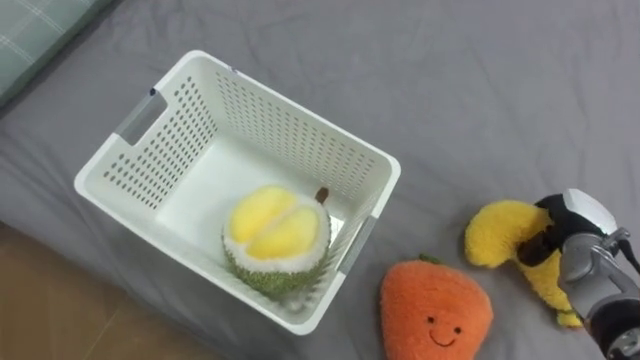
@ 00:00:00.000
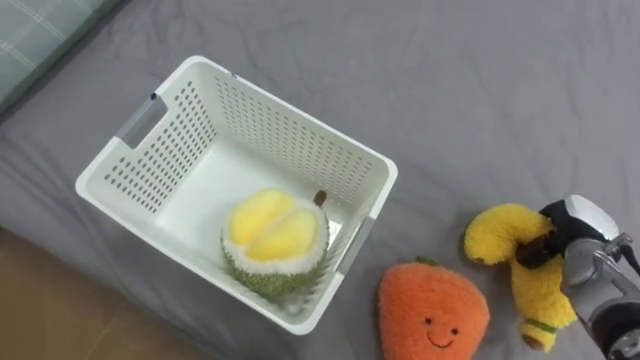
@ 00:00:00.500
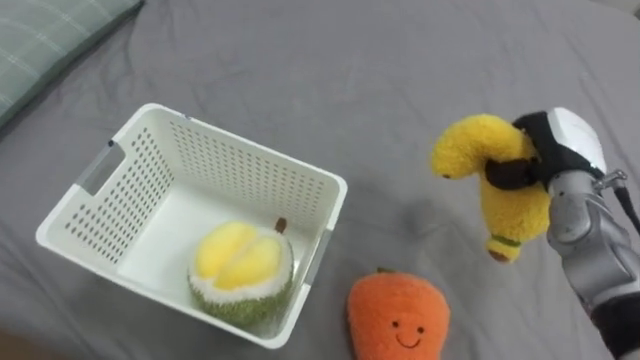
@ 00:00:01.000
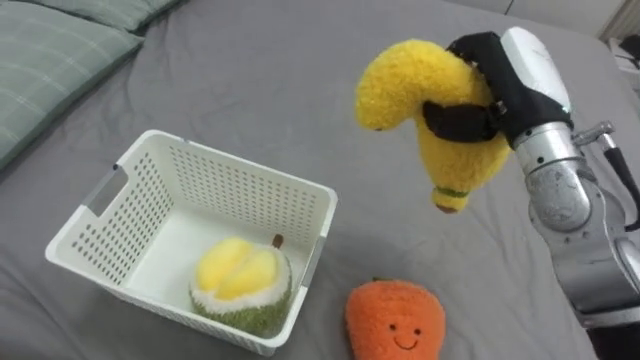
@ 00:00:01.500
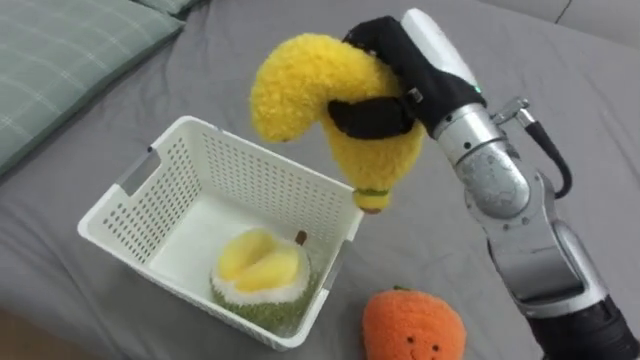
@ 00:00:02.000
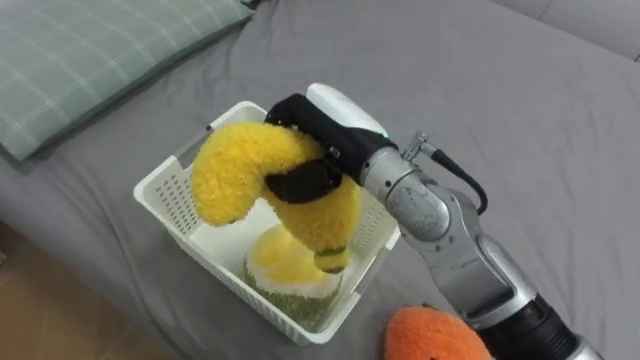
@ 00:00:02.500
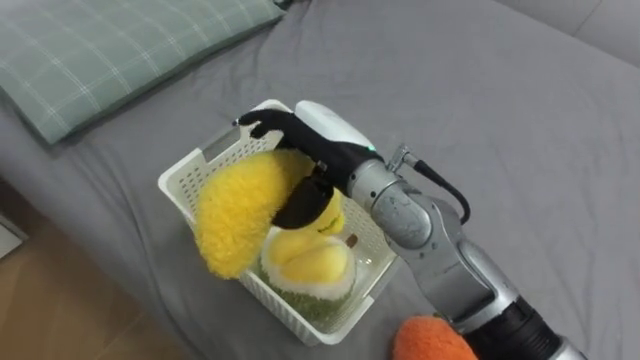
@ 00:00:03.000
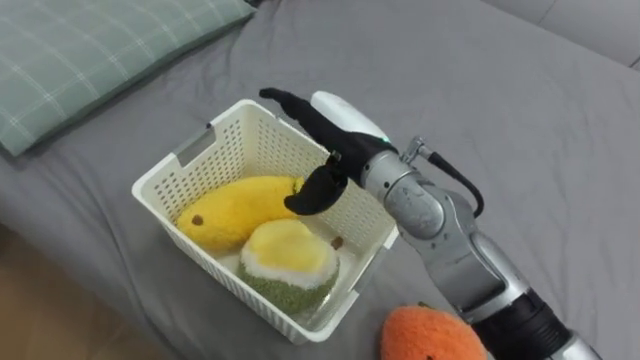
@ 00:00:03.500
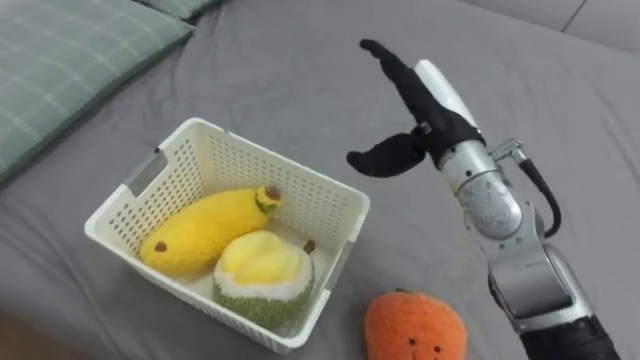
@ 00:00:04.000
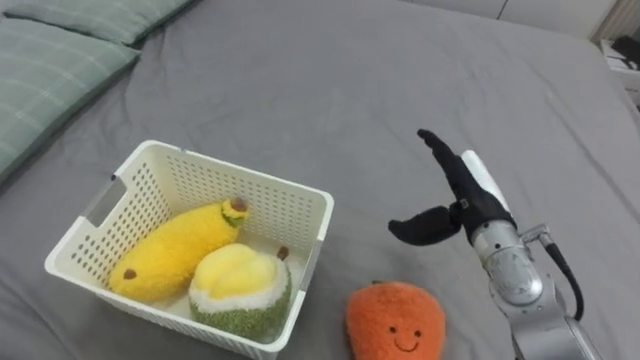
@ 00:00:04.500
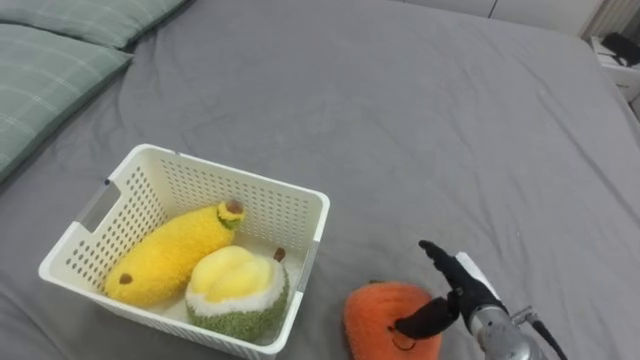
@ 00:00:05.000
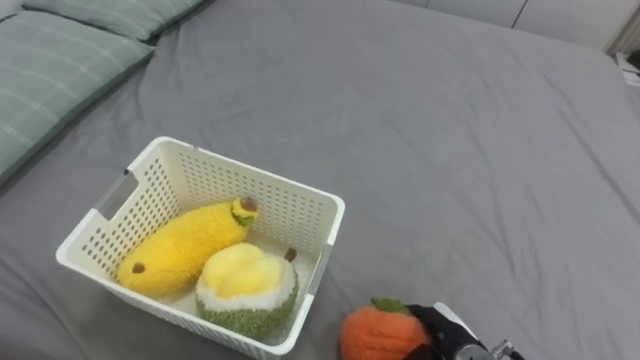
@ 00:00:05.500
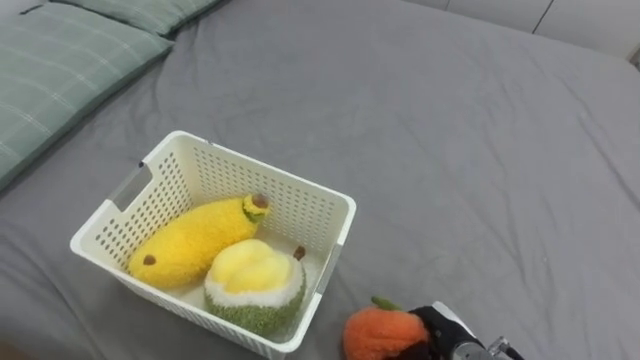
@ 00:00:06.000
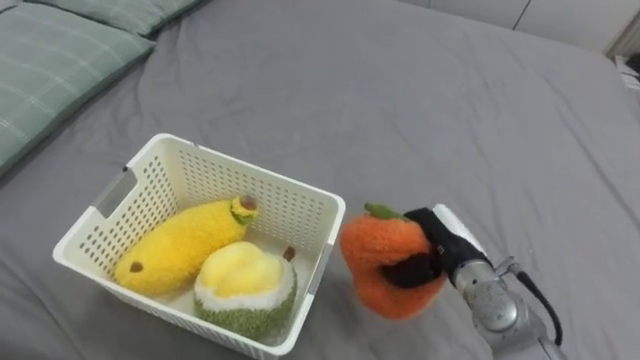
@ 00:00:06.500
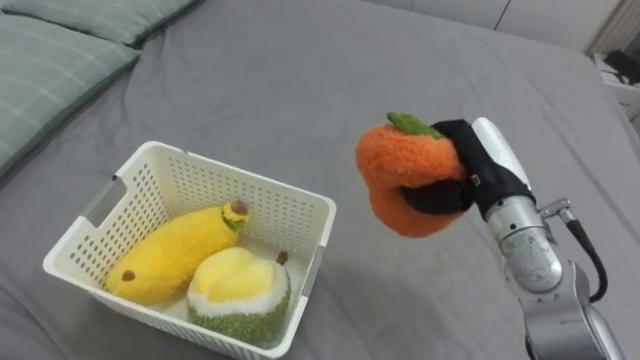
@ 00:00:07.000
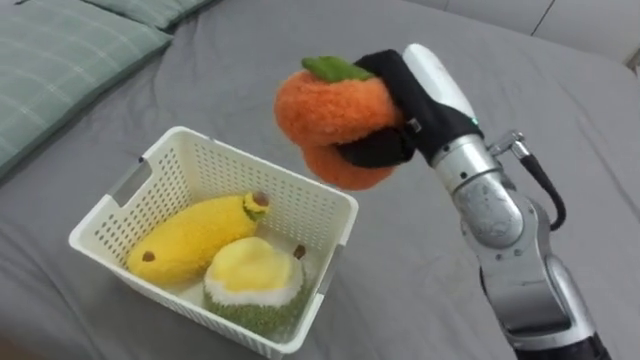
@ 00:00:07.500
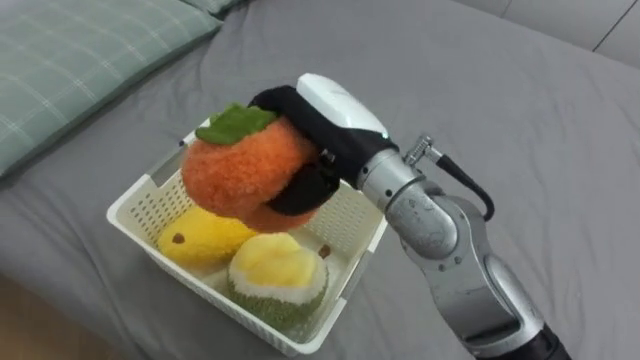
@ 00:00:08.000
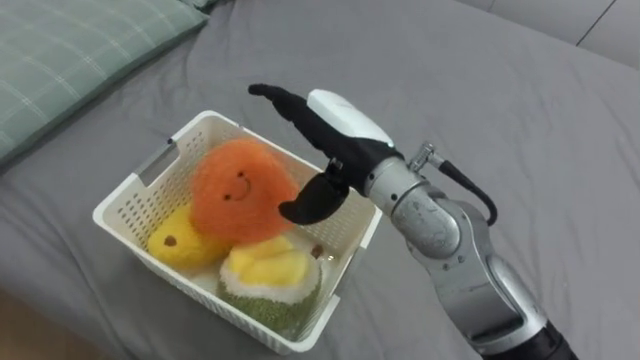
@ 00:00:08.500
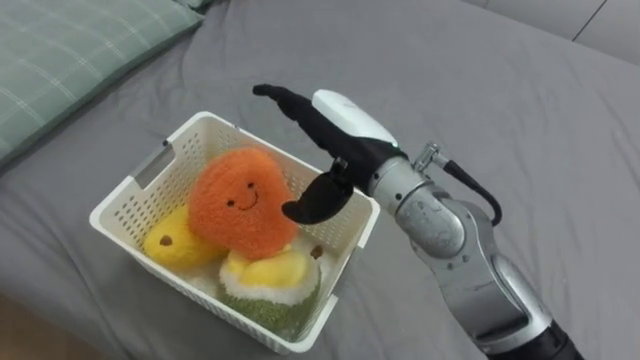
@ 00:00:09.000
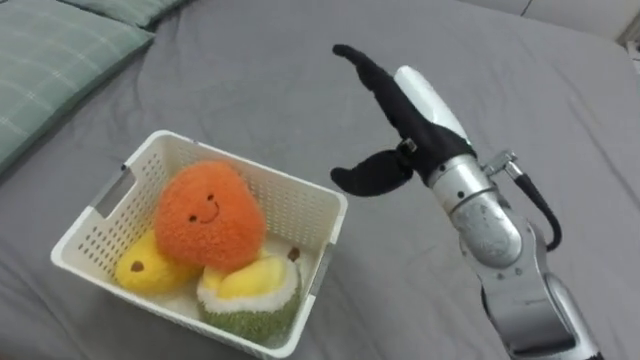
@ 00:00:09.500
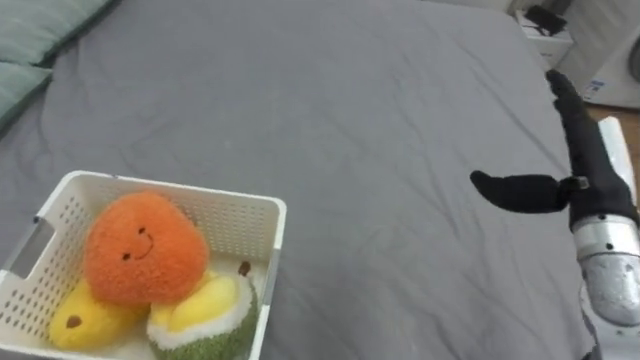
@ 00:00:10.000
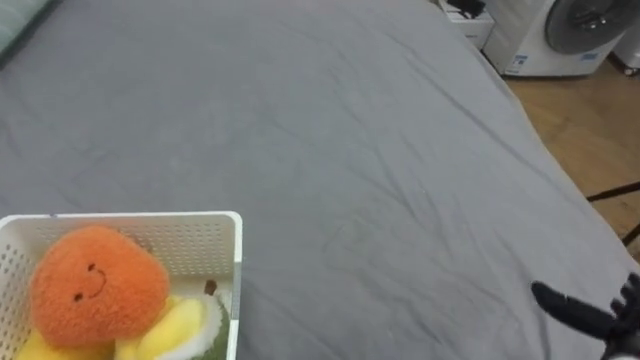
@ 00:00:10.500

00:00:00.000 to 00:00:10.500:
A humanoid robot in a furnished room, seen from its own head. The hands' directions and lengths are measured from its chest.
Task of the whole recording: Put the toys on the bed into the basket on the left.
00:00:00.000 to 00:00:02.000: The right hand goes some 35 cm upward and to the left.
00:00:02.000 to 00:00:04.000: The right hand travels downward by approximately 5 cm, travels to the left and back again, about 10 cm each way, and opens its fingers.
00:00:04.000 to 00:00:06.500: The right hand heads downward, covering about 20 cm, and closes up.
00:00:06.500 to 00:00:08.500: The right hand goes approximately 25 cm upward and to the left, and opens.
00:00:08.500 to 00:00:10.500: The right hand goes roughly 40 cm to the right and downward.

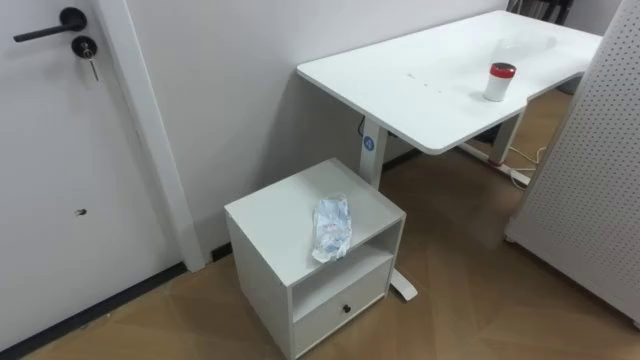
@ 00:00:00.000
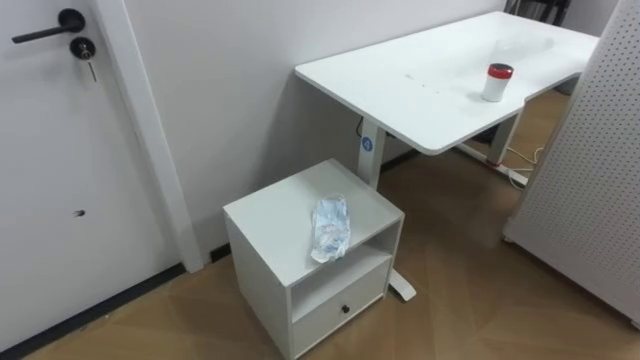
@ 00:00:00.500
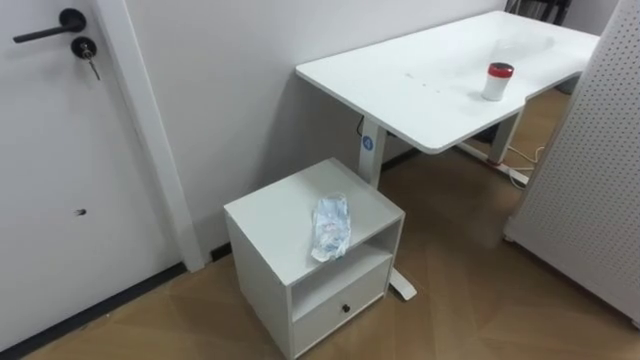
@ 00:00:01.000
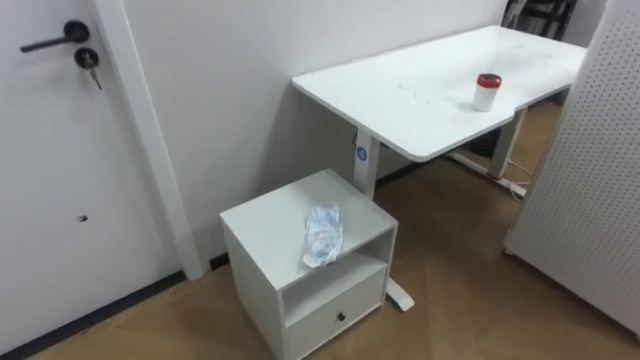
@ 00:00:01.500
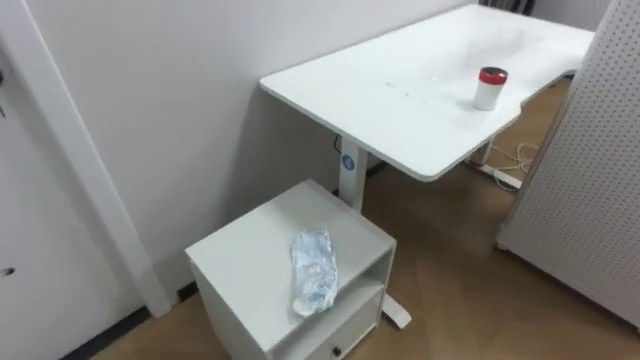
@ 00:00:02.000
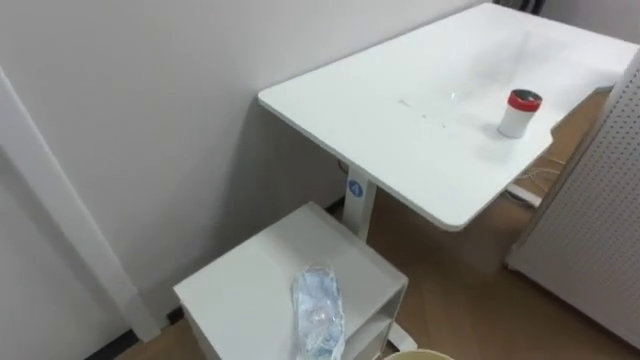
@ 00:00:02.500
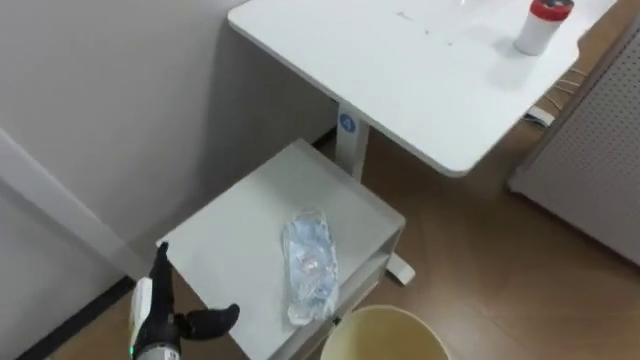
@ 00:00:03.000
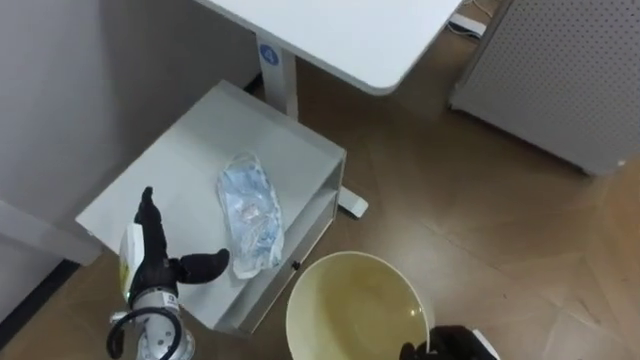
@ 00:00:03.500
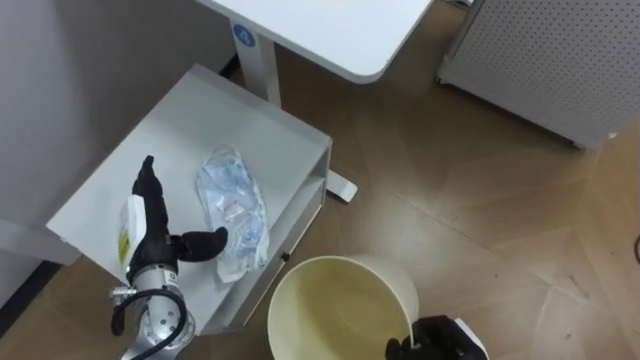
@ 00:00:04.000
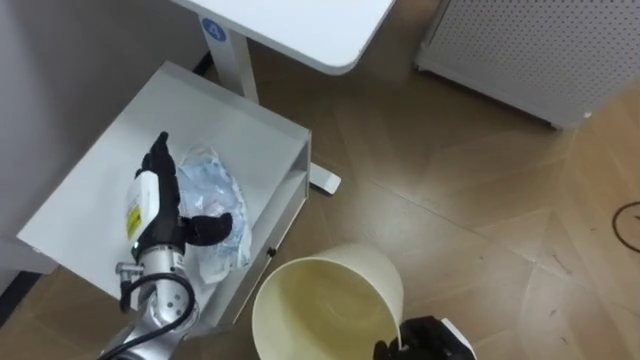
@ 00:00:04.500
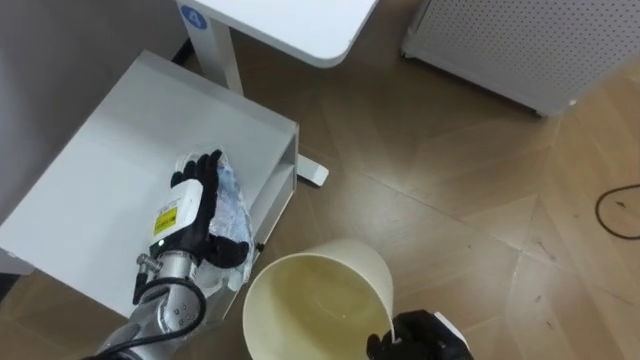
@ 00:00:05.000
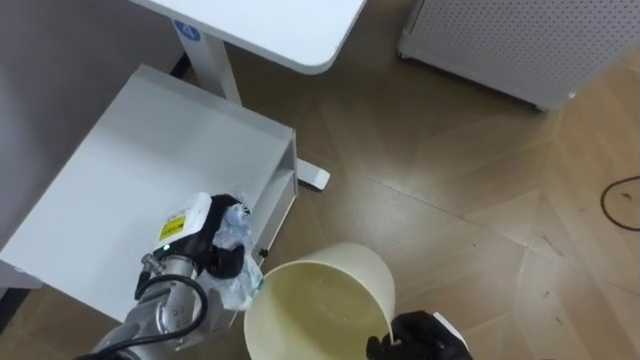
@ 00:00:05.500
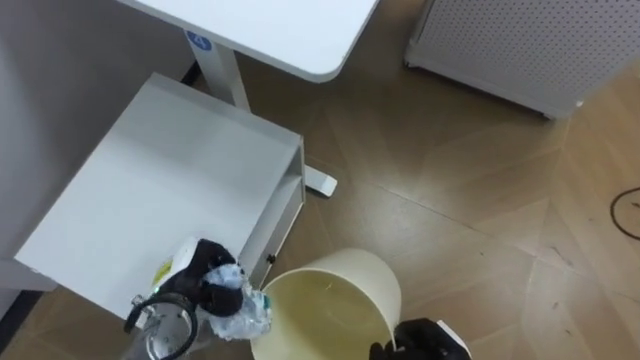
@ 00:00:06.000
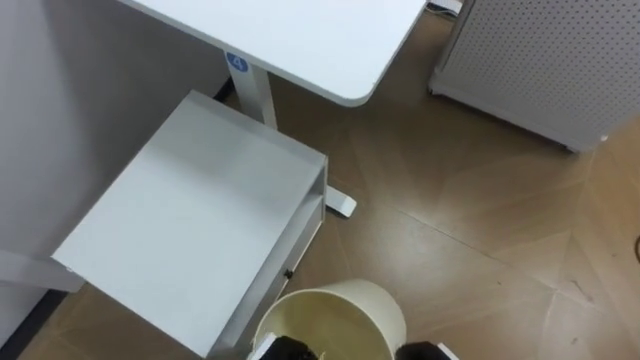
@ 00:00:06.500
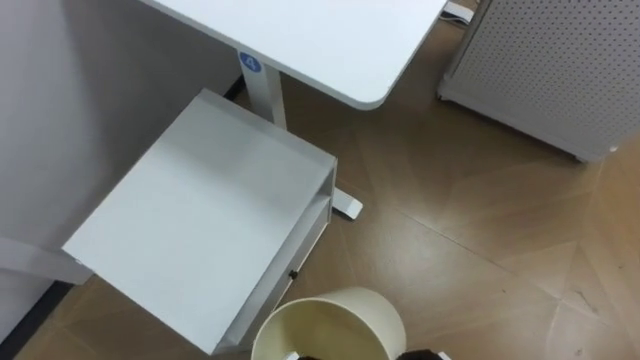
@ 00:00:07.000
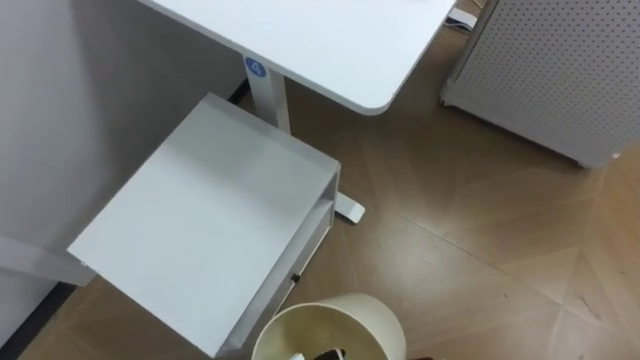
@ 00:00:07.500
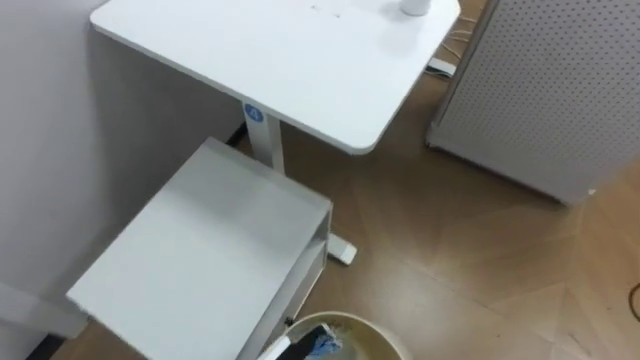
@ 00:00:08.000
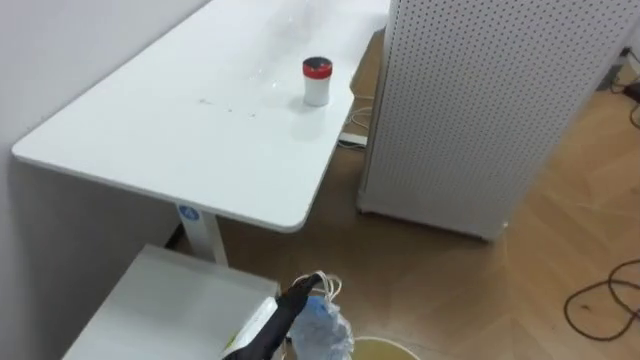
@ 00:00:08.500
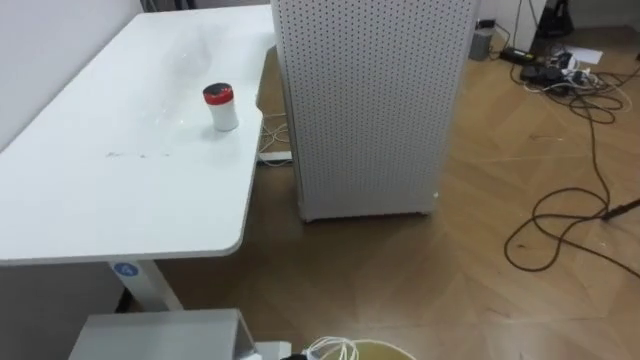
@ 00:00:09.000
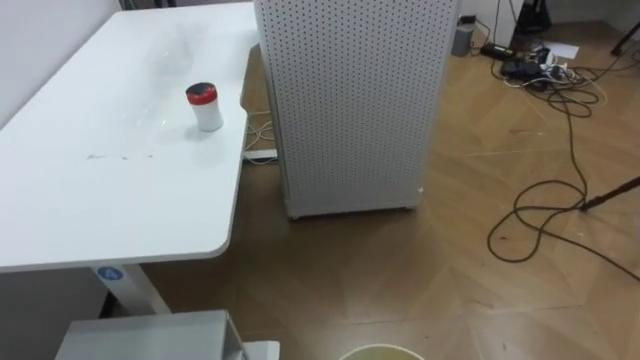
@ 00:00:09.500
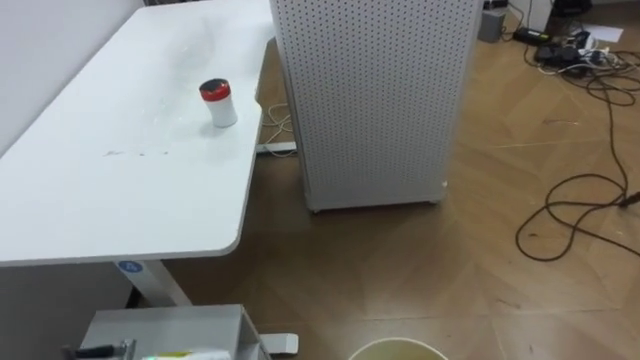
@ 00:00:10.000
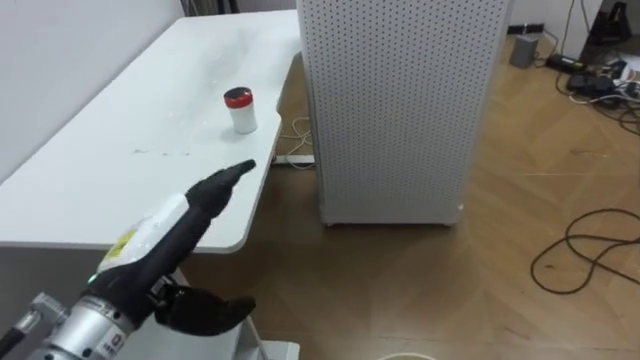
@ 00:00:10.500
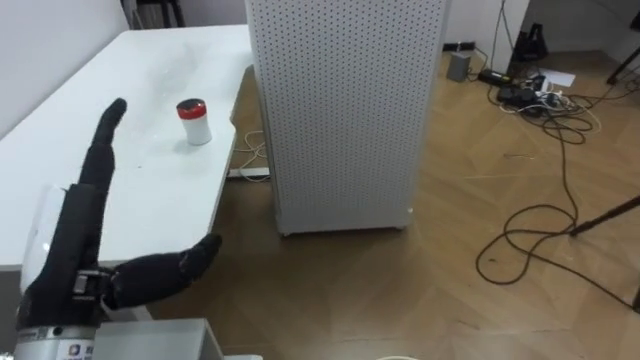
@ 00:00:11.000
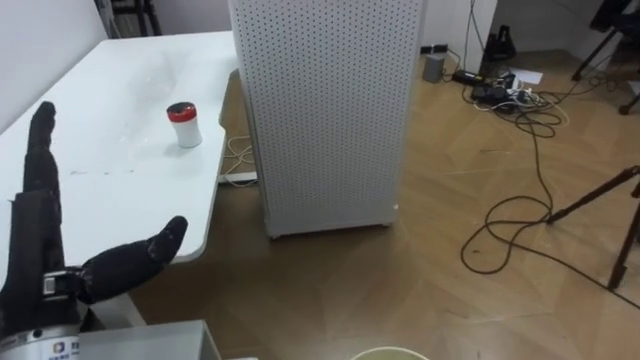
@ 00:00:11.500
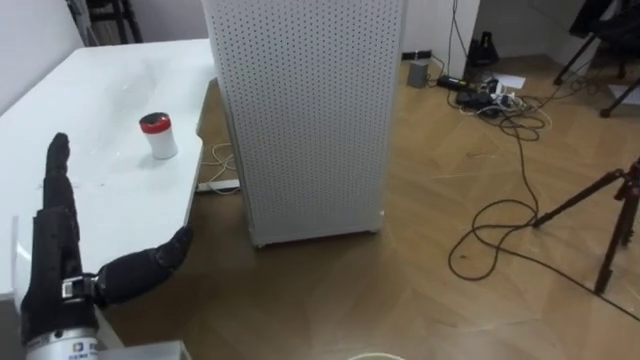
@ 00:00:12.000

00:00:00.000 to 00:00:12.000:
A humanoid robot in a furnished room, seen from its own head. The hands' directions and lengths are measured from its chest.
Task of the whole recording: Pick up the light blue package, the candy box, and the dark blue package separately, and put them into the trash can held in your right hand.
00:00:04.000 to 00:00:06.000: The left hand moves downward, approximately 5 cm, and closes.
00:00:08.000 to 00:00:10.000: The robot turns to its right by some 30 degrees.
